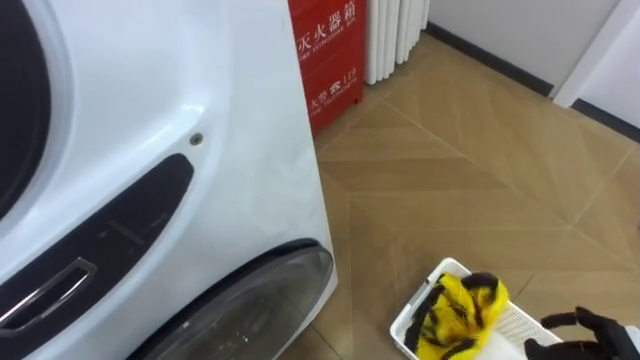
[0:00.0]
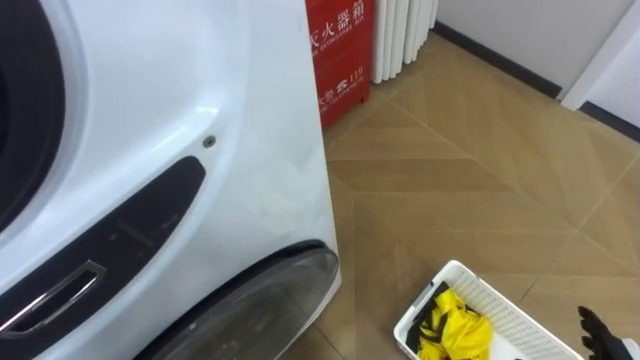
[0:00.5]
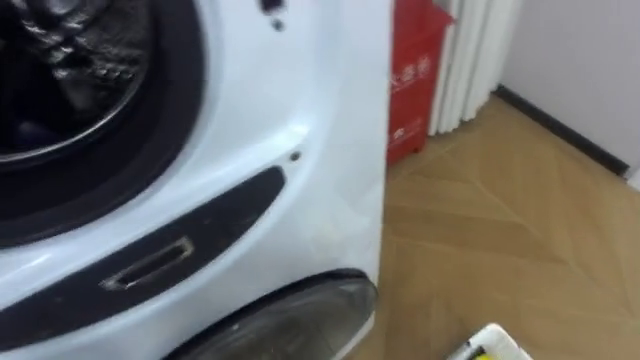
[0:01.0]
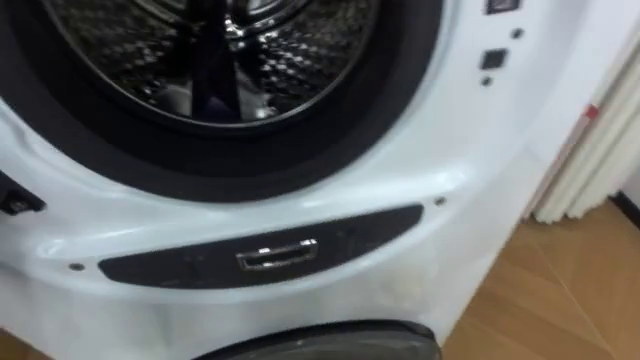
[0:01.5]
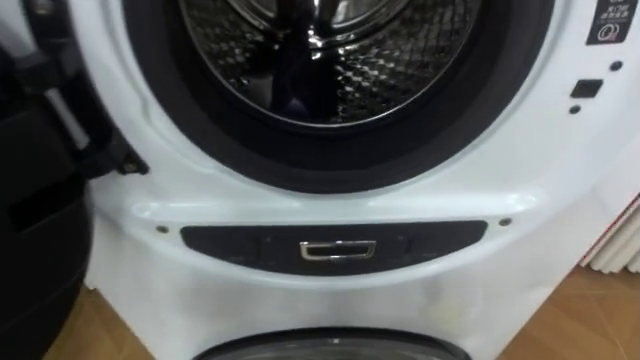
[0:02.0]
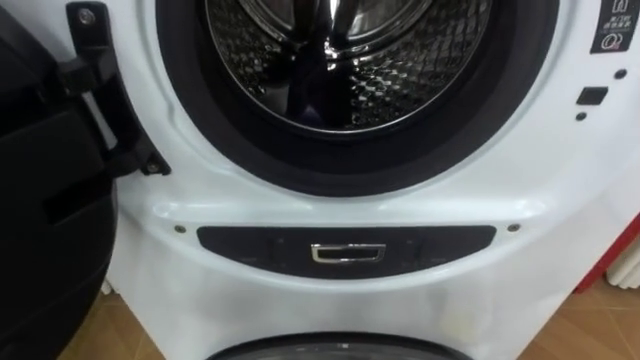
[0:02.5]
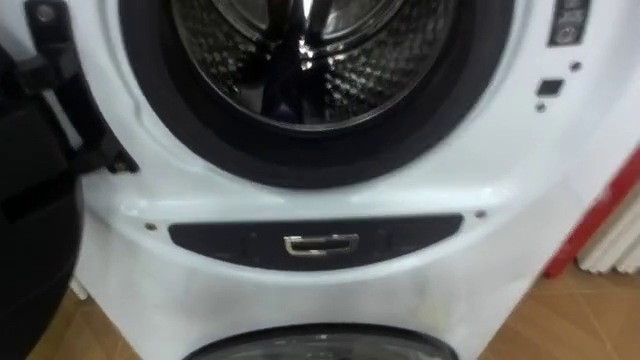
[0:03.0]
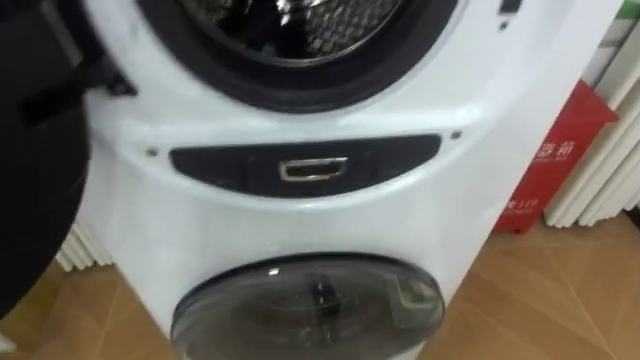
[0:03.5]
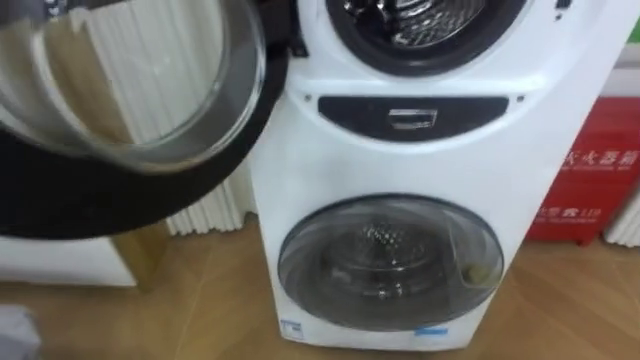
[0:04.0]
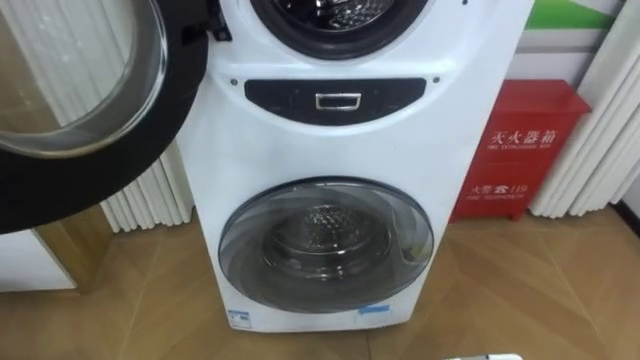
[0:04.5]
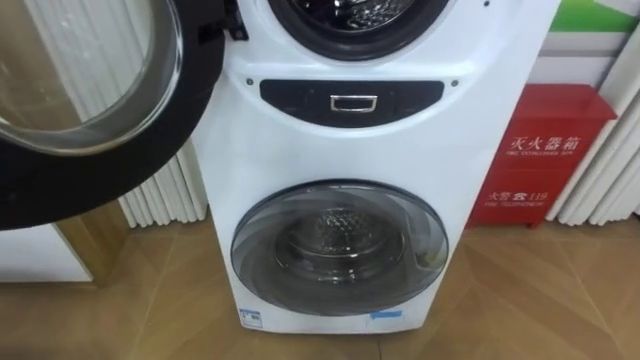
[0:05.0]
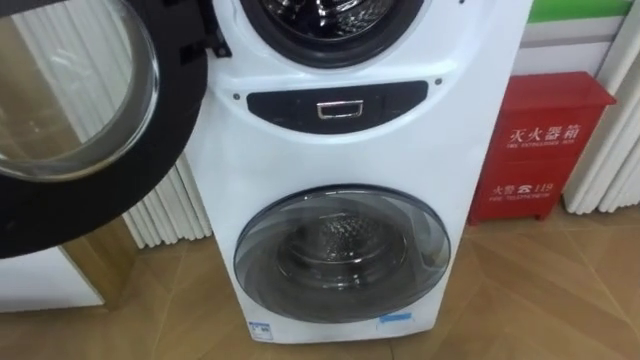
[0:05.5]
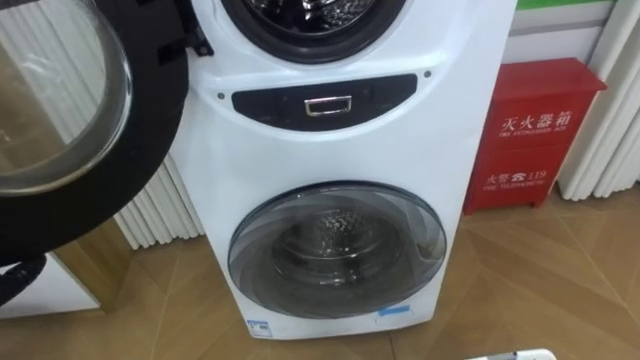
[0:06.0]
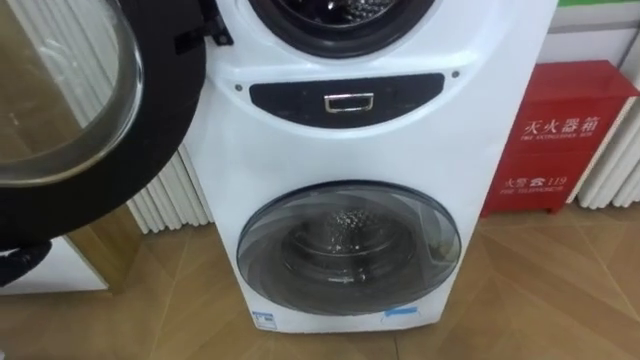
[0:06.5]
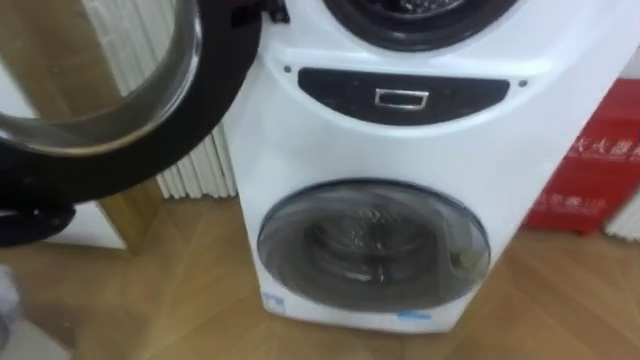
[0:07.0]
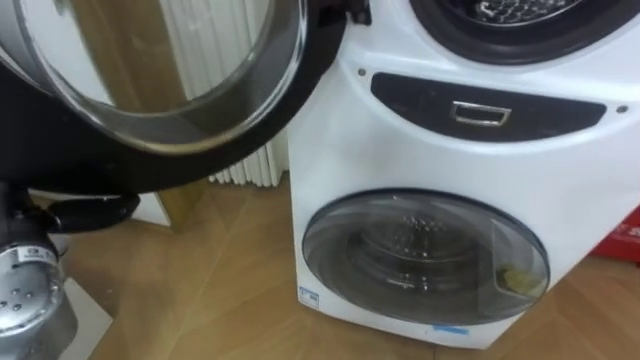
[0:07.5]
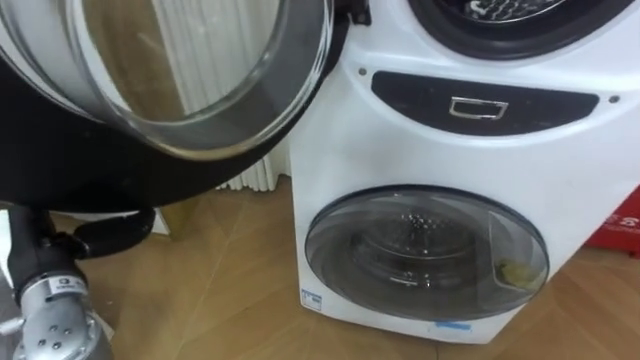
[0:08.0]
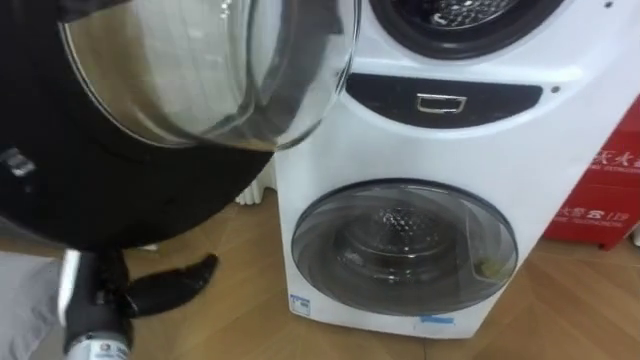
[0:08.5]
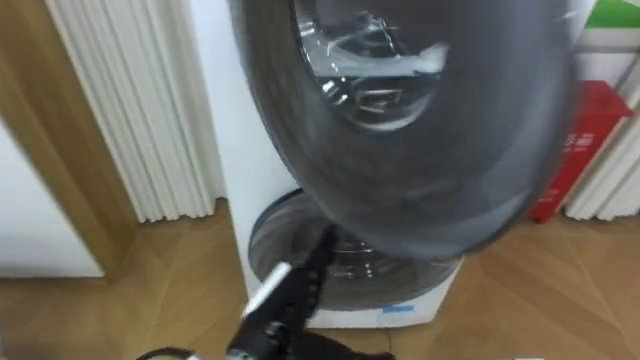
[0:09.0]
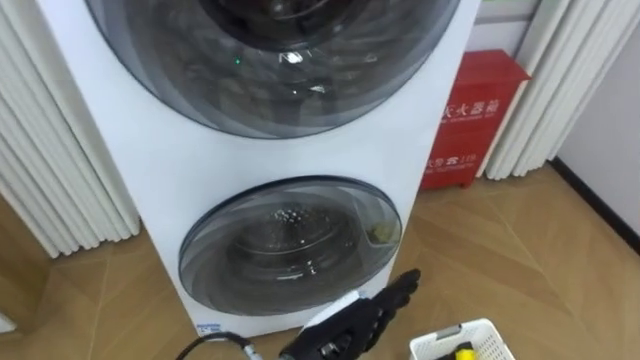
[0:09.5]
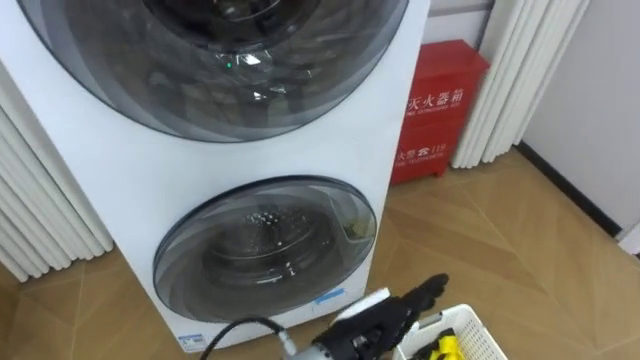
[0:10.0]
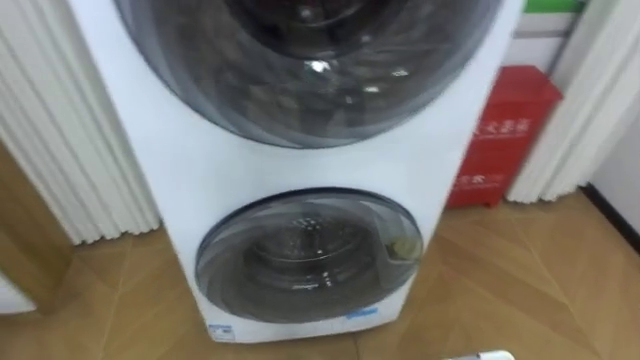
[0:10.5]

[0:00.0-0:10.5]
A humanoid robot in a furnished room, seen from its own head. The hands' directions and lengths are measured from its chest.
Task of the whole recording: Open the washing machine door, take out the yellow clothes, place them in the box on the right, and close the washing machine door.
0:08.5 to 0:10.5: The robot faces roughly 15 degrees further to its right.

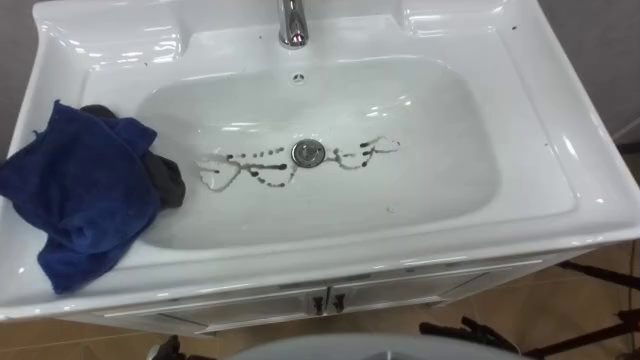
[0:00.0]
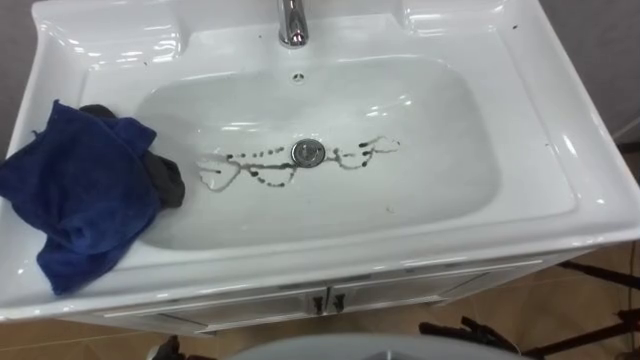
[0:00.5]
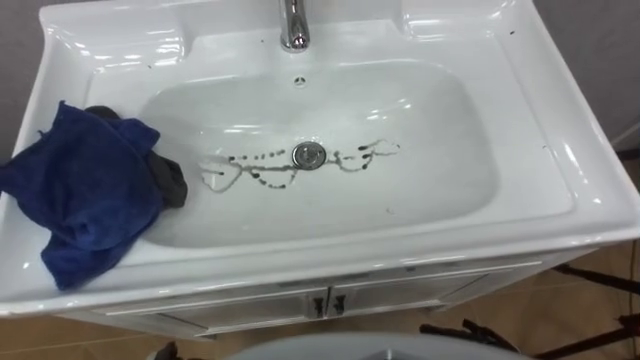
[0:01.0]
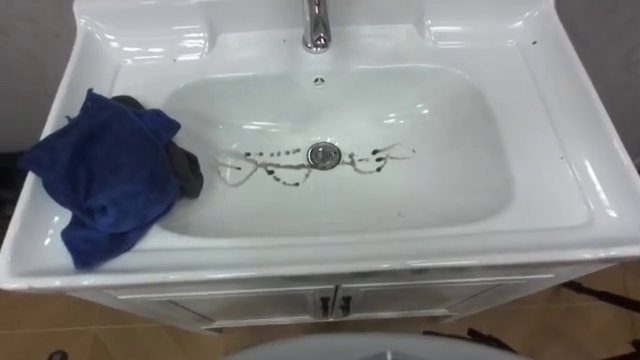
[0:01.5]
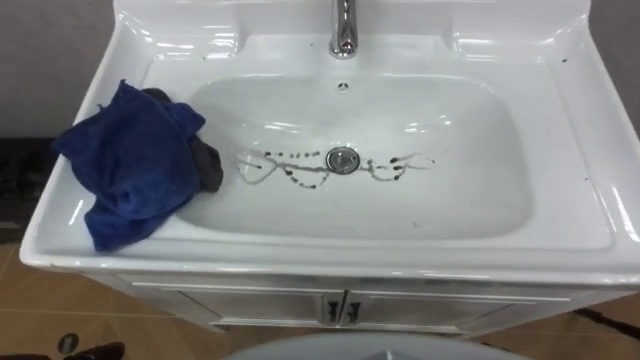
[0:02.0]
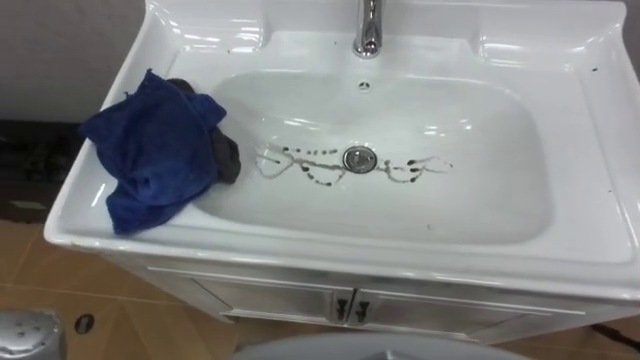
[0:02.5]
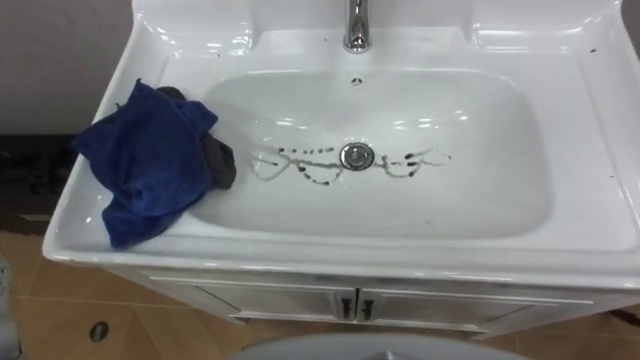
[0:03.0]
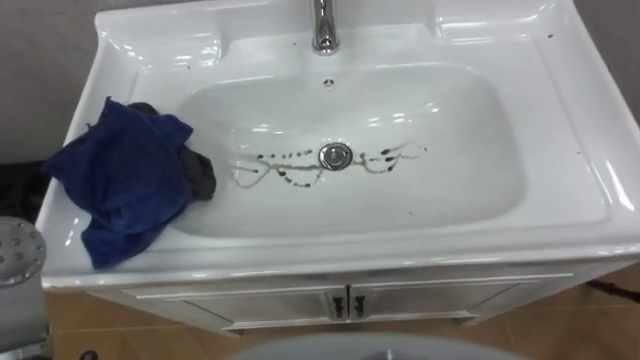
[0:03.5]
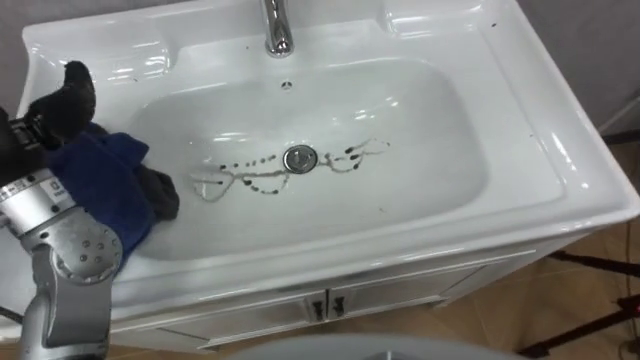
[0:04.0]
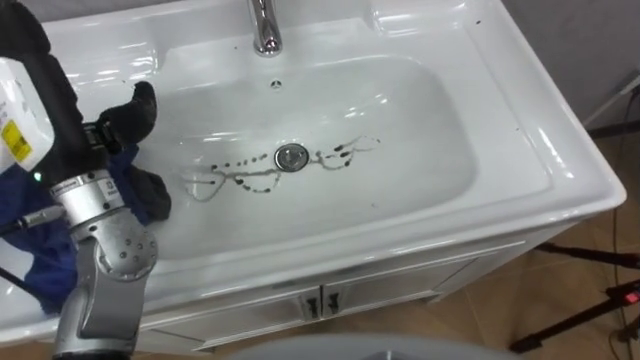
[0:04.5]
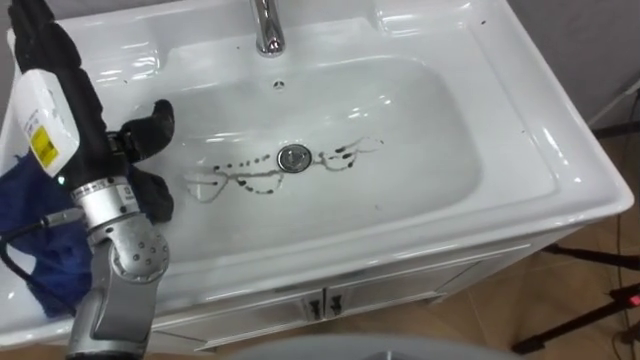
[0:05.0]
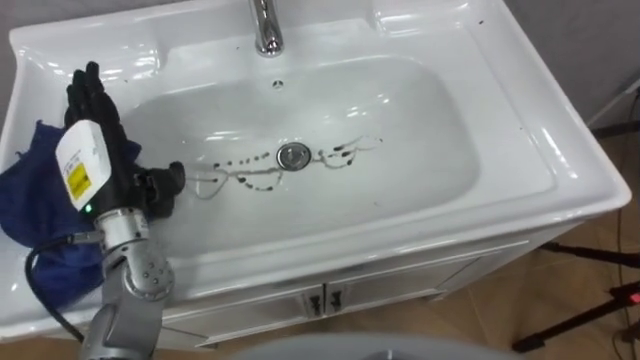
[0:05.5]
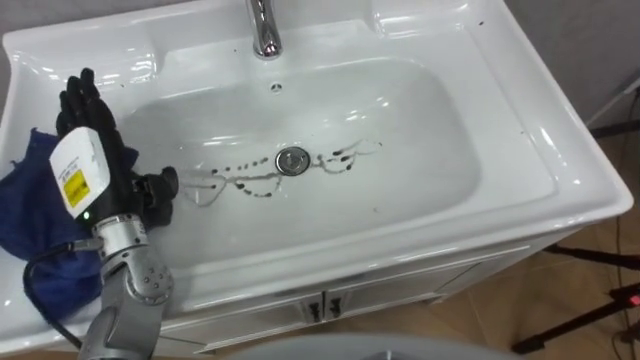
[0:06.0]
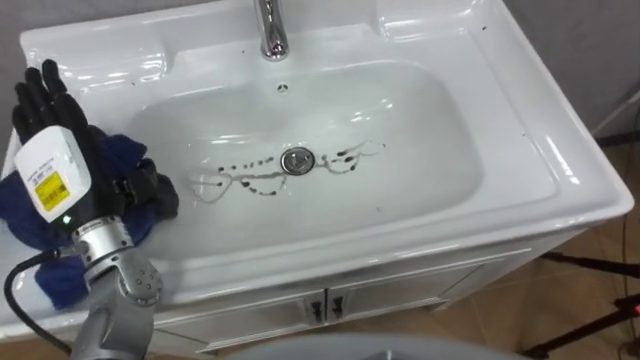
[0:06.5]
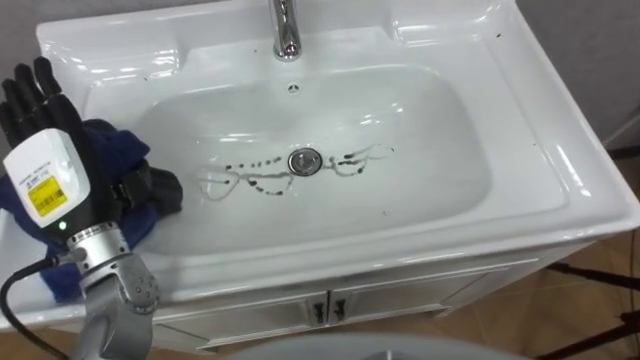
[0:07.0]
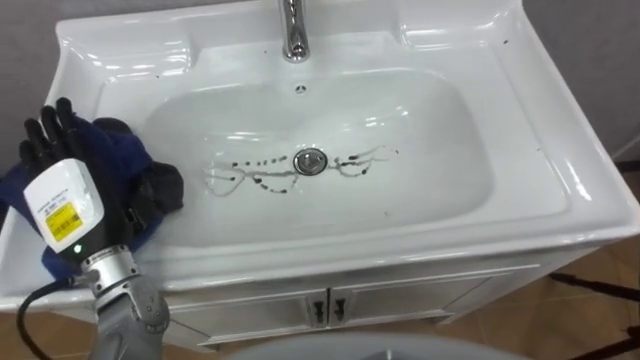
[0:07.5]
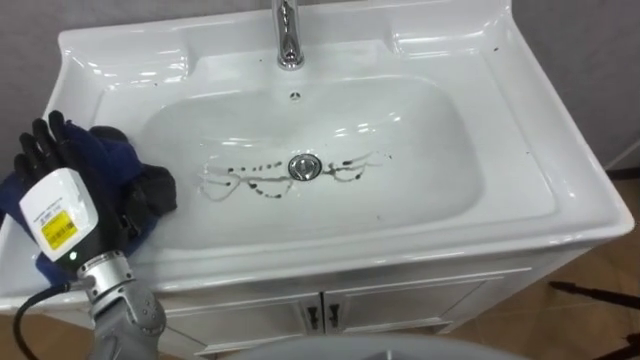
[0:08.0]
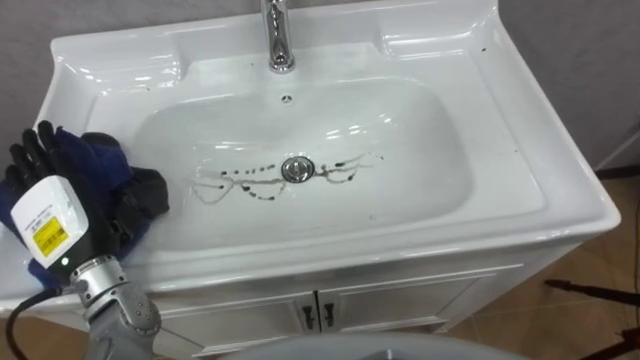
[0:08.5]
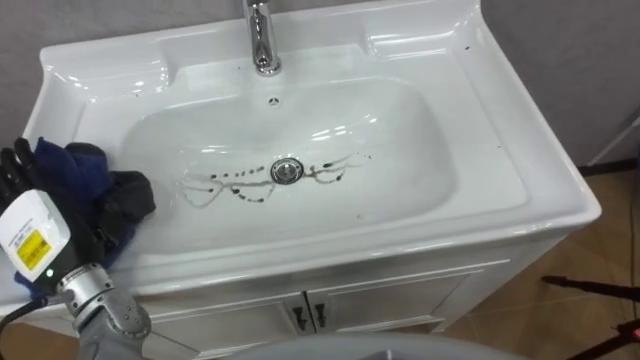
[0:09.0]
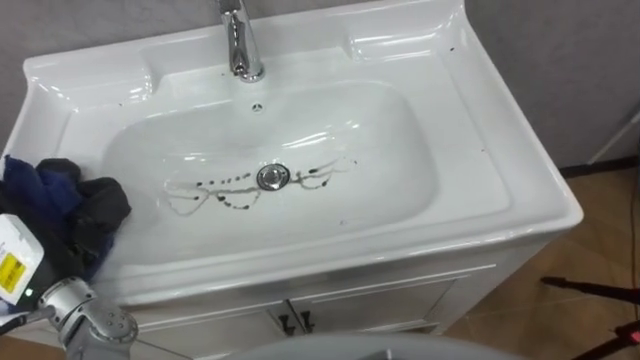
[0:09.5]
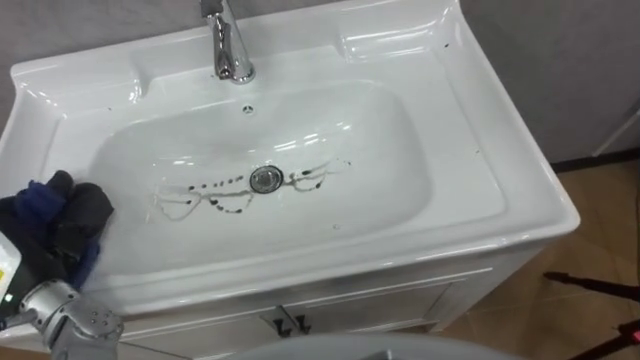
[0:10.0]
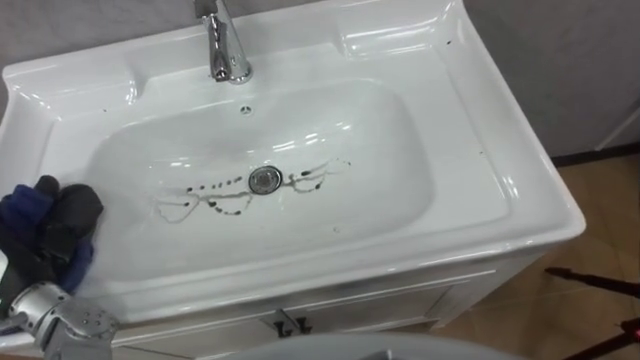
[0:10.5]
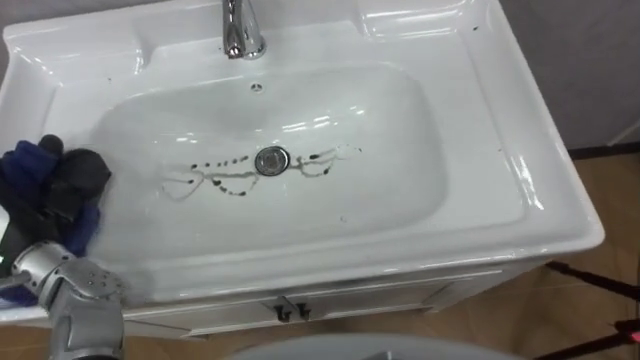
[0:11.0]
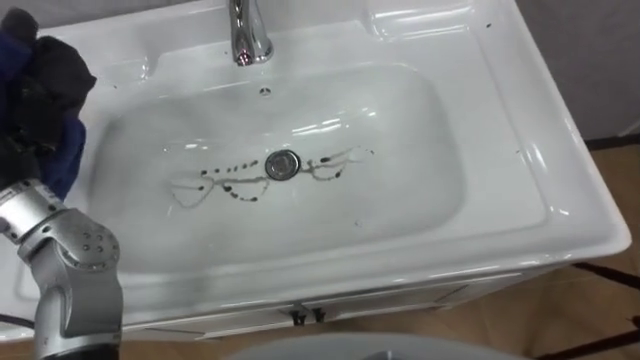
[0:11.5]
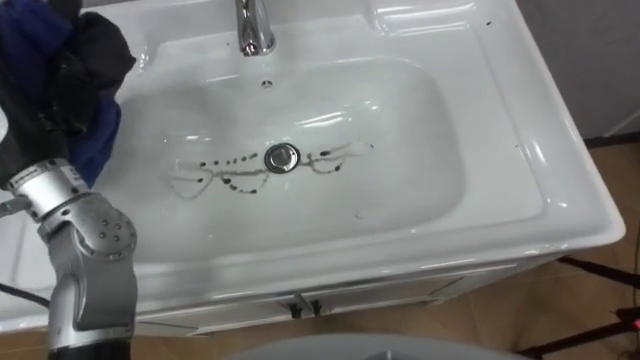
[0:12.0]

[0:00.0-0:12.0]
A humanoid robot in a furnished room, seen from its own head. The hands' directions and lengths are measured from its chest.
Task of the whole recording: Use the cloth on the right to wipe away the black stain in the sink.
0:06.0 to 0:08.0: The left hand moves some 5 cm.
0:08.0 to 0:10.0: The left hand heads to the left, covering some 5 cm, and closes up.
